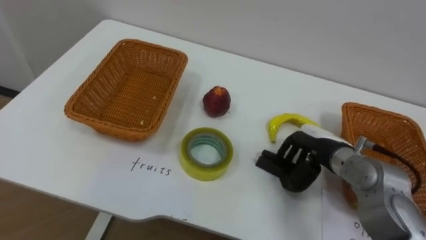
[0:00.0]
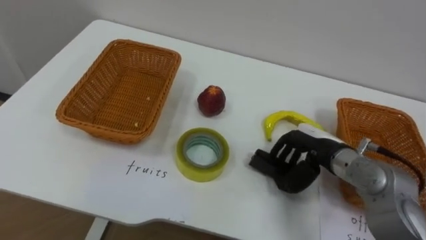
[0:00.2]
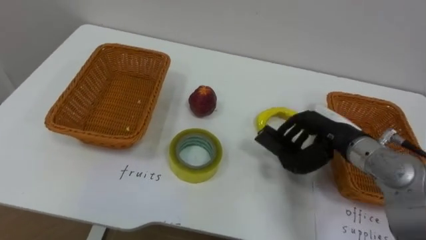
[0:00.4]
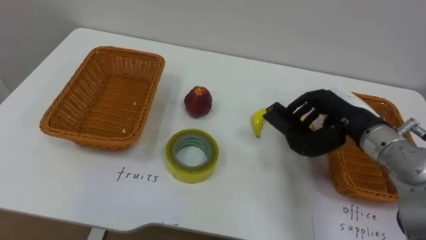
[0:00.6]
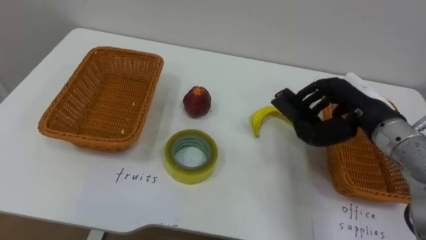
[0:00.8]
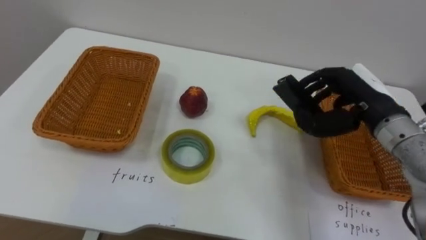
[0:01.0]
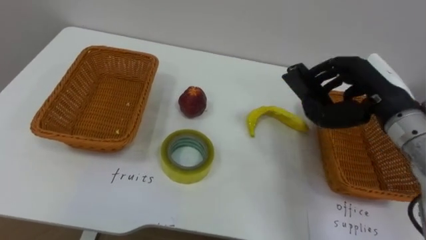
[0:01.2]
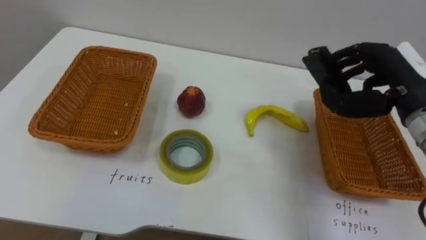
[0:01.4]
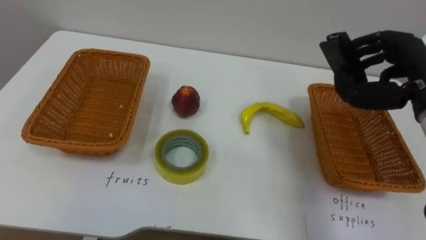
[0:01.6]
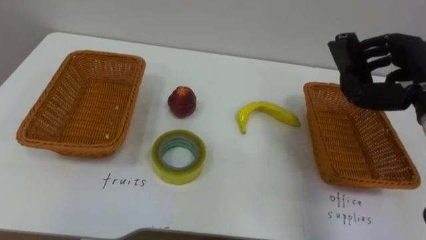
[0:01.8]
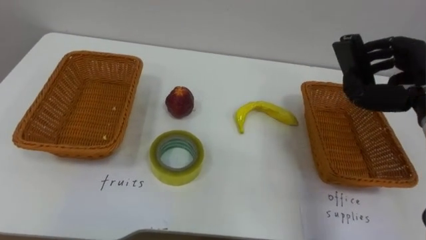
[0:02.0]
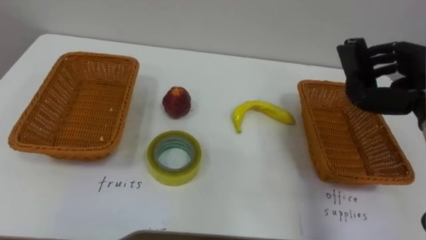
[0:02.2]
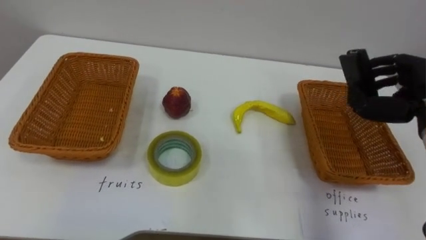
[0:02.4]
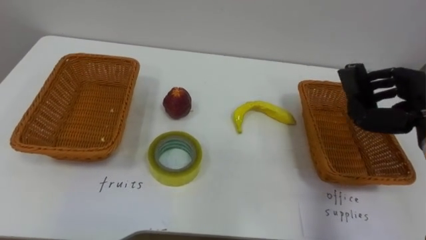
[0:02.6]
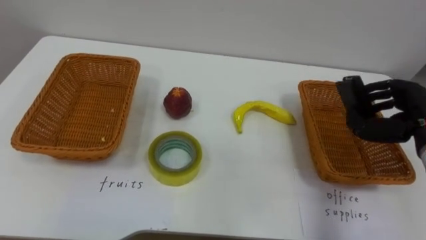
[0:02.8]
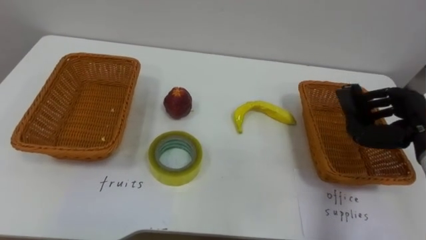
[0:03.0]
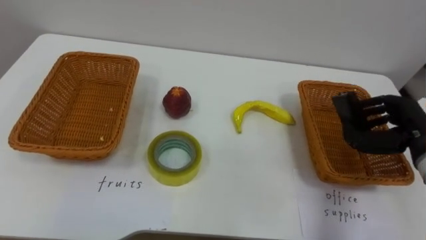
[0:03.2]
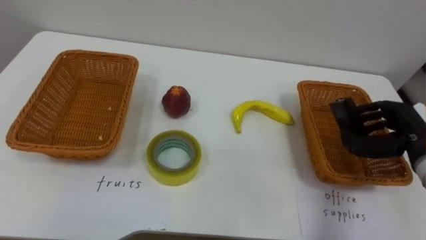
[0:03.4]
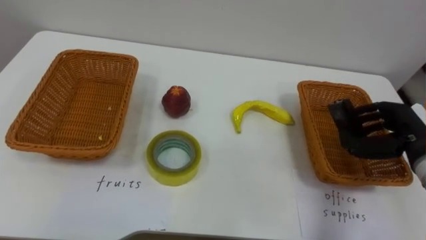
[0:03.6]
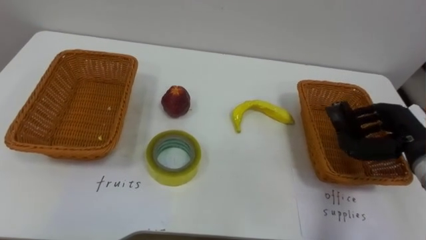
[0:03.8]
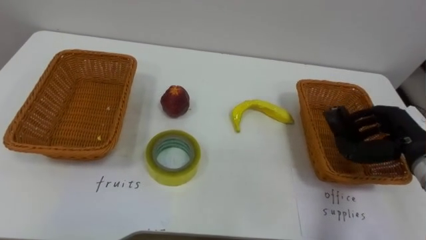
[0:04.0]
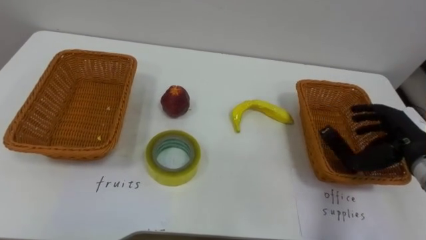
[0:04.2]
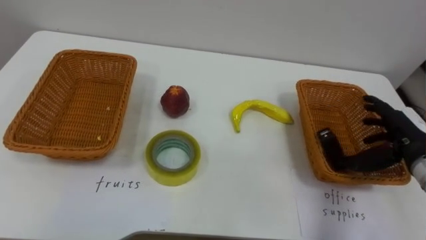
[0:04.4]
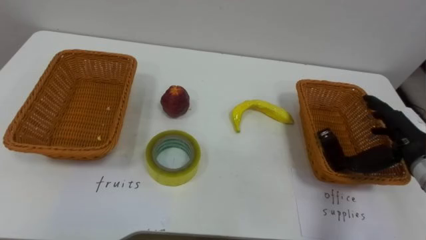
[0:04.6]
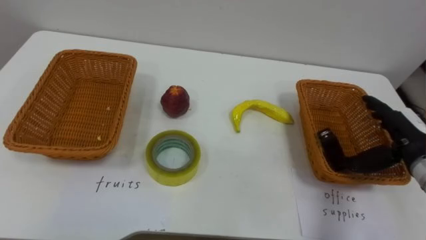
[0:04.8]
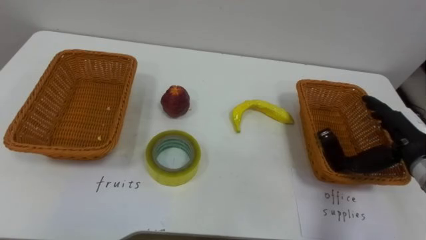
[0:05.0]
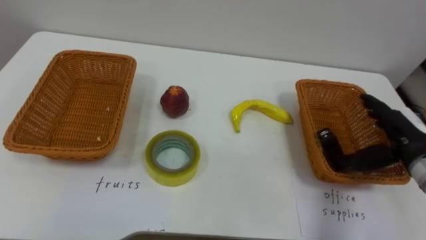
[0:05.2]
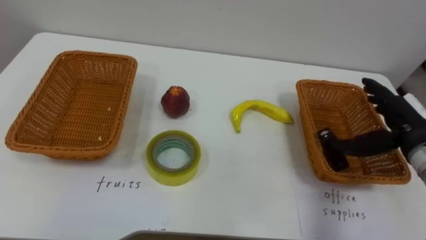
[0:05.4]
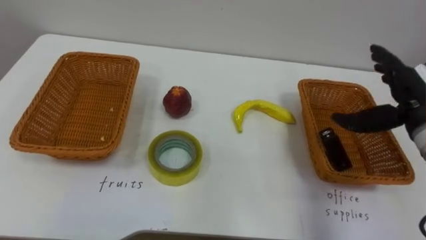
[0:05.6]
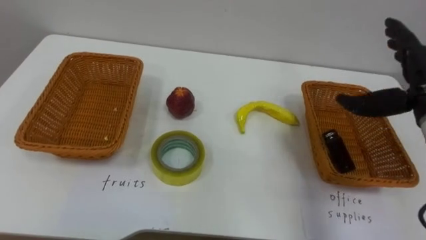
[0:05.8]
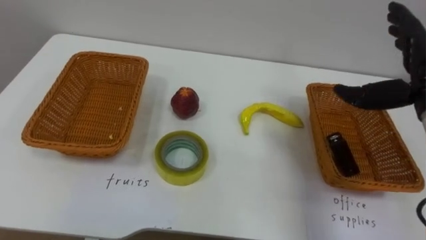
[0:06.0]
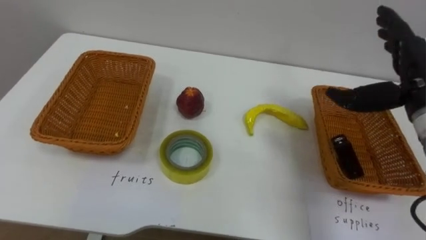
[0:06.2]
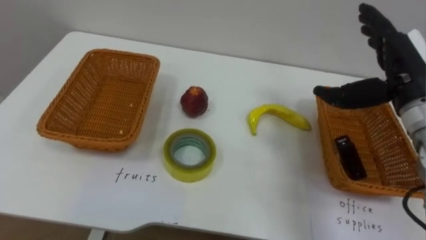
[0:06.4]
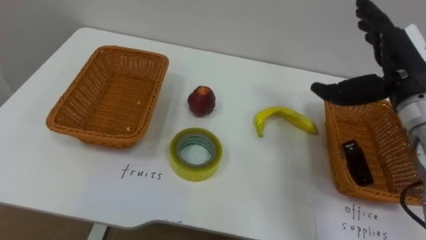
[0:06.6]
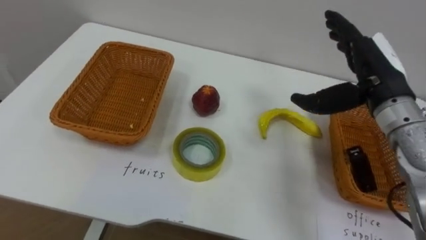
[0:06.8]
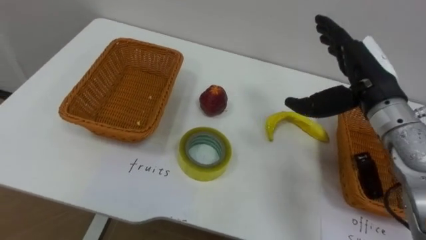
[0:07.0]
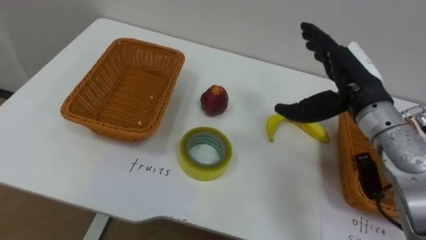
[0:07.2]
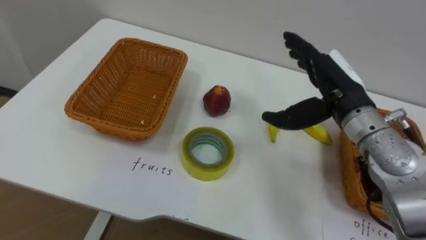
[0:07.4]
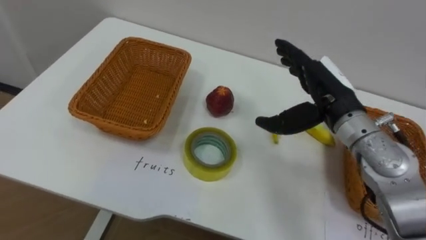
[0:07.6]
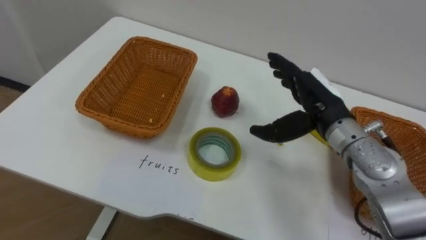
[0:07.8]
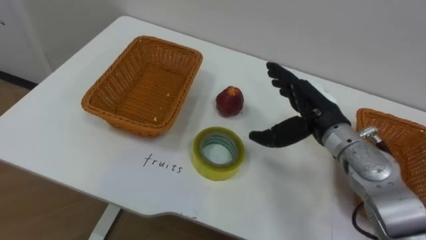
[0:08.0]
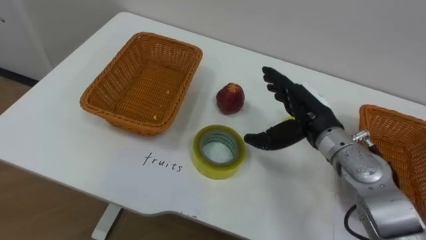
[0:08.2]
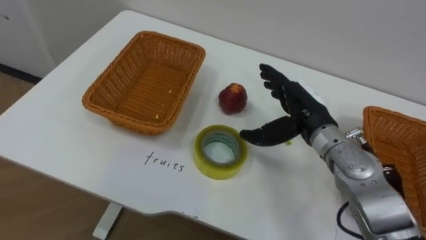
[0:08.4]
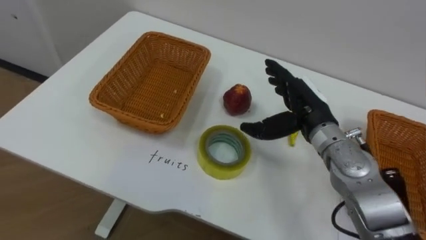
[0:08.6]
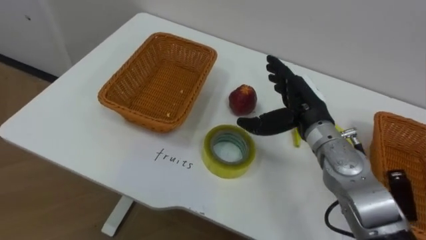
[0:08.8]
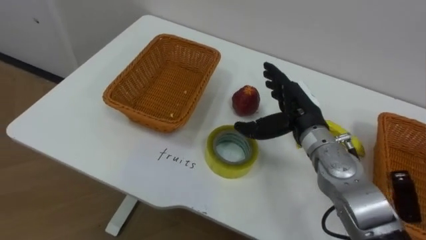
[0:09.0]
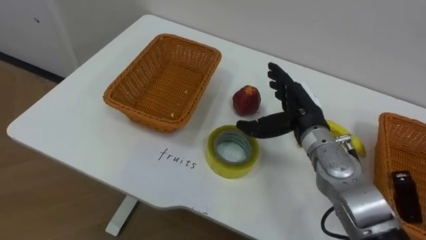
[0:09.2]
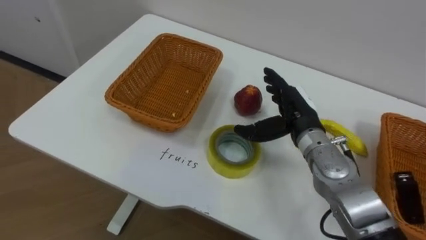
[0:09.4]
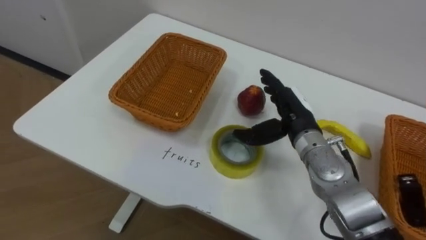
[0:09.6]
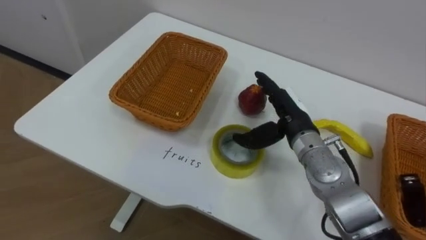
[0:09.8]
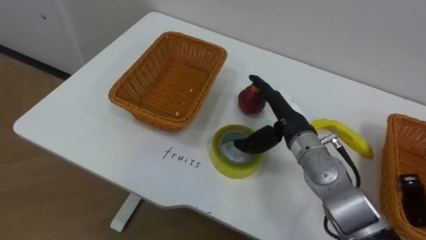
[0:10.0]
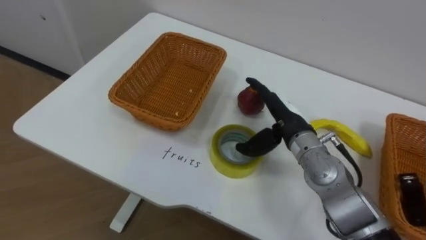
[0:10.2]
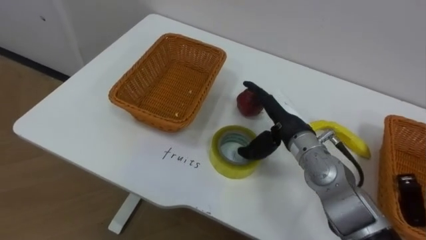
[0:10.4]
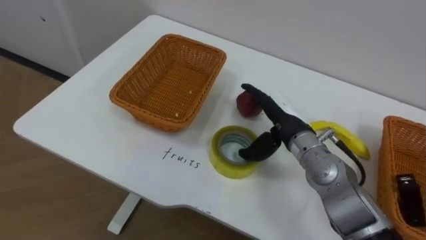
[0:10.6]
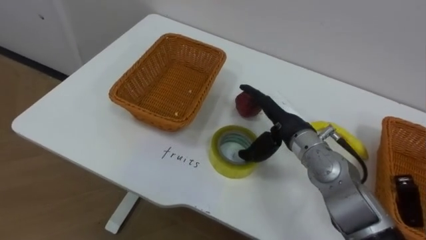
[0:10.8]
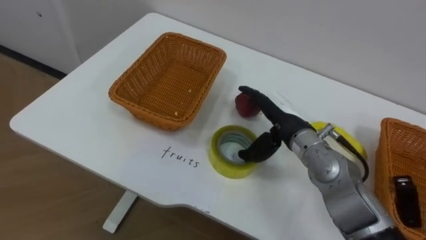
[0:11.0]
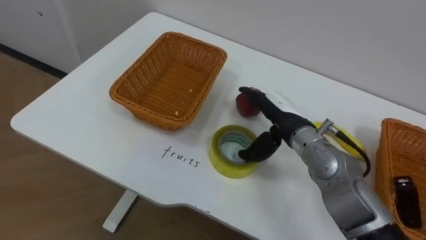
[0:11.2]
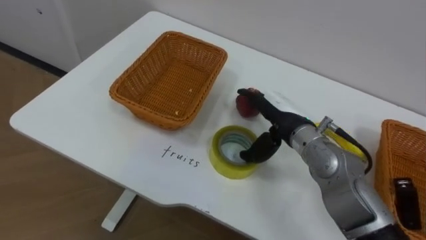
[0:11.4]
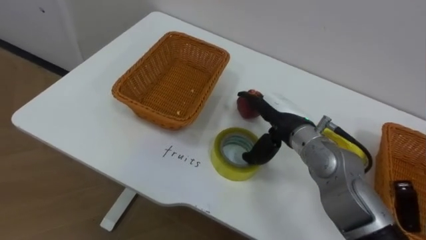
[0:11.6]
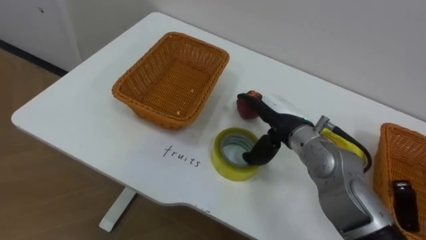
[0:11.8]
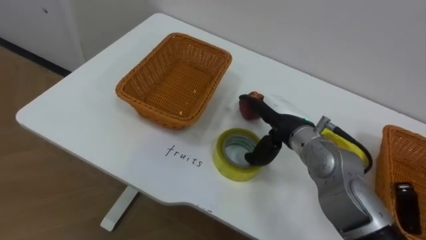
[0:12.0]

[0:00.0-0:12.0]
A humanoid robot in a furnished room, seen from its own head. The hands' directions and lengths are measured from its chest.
Task of the whole recording: Separate the items on the table and place them into the two baskets.
0:00.0 to 0:01.6: The right hand goes roughly 20 cm upward and to the right.
0:01.6 to 0:03.0: The right hand goes roughly 10 cm downward.
0:03.0 to 0:04.4: The right hand opens.
0:04.4 to 0:06.0: The right hand heads upward, covering roughly 10 cm.
0:06.0 to 0:07.6: The right hand shifts about 10 cm to the left.
0:07.6 to 0:09.0: The right hand moves downward, approximately 5 cm.

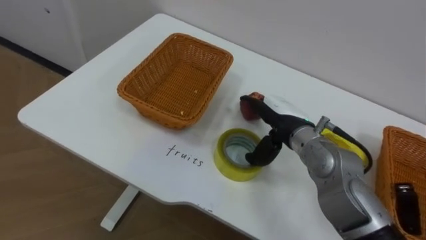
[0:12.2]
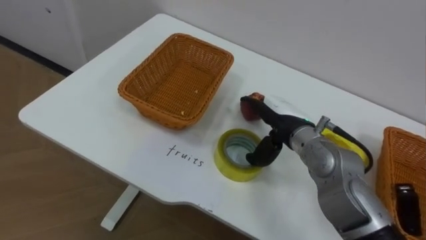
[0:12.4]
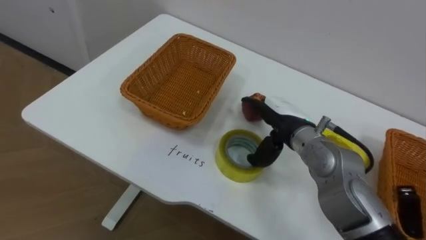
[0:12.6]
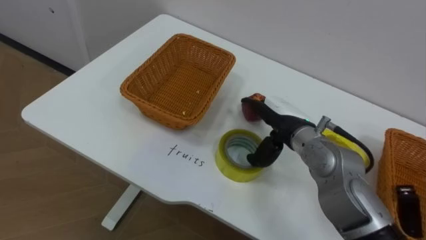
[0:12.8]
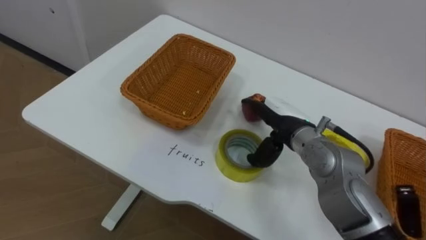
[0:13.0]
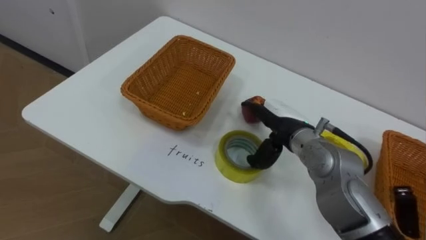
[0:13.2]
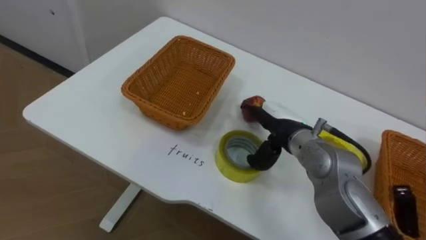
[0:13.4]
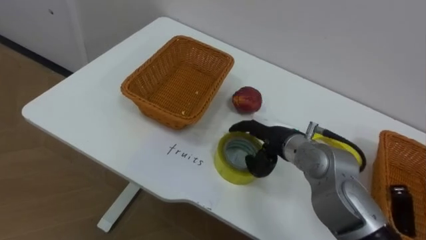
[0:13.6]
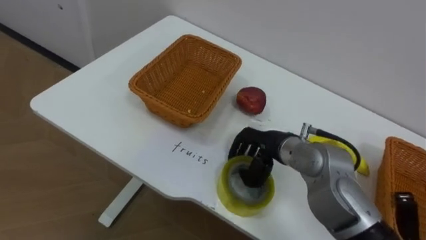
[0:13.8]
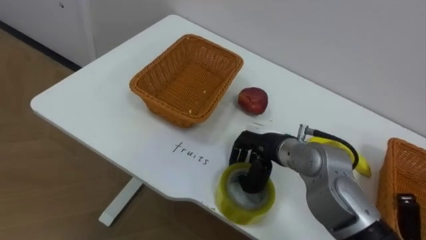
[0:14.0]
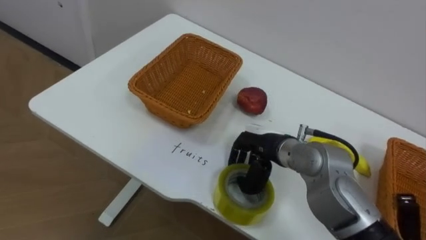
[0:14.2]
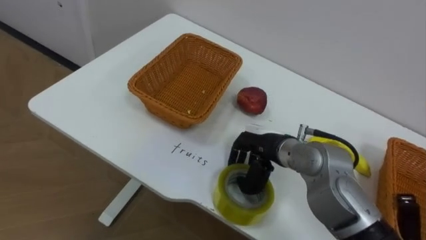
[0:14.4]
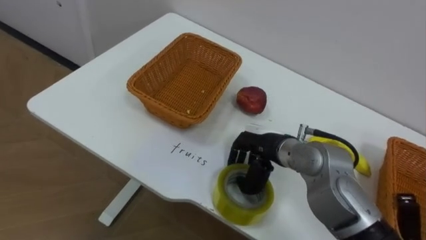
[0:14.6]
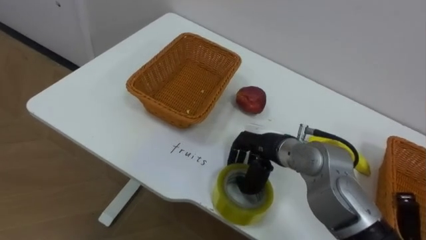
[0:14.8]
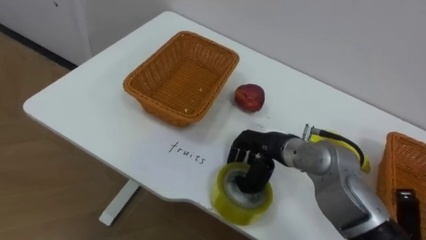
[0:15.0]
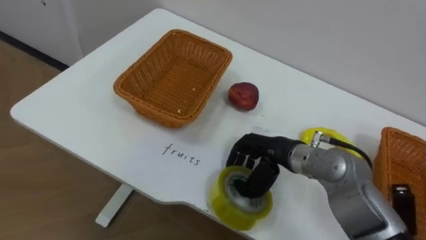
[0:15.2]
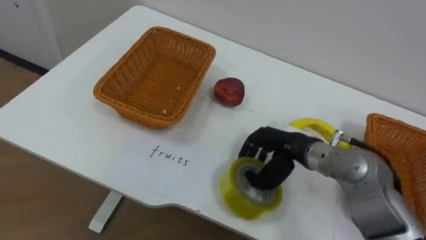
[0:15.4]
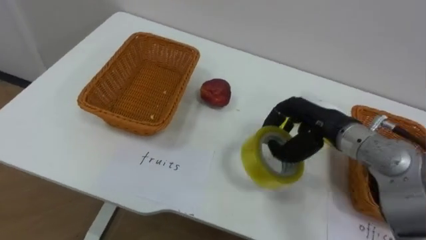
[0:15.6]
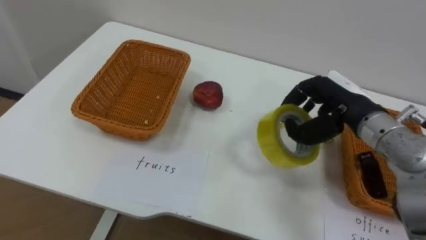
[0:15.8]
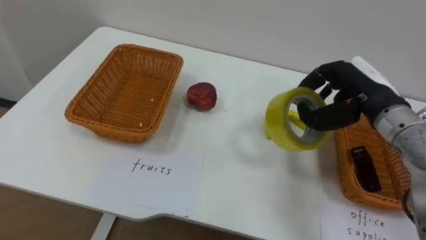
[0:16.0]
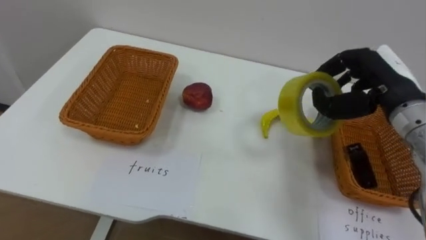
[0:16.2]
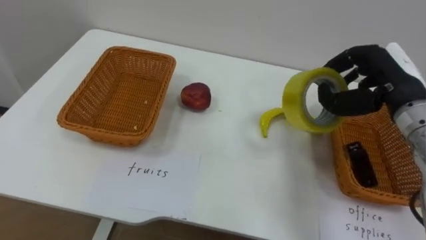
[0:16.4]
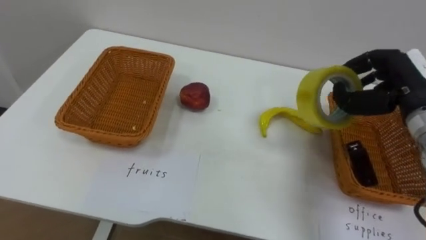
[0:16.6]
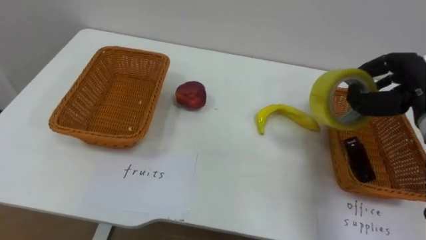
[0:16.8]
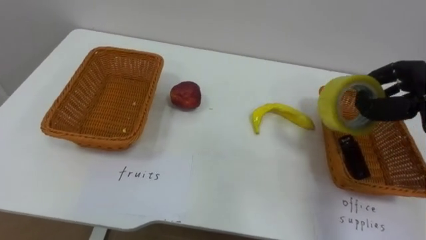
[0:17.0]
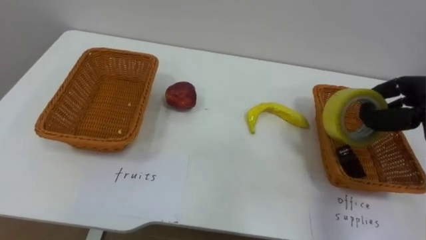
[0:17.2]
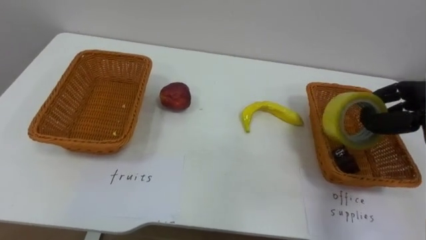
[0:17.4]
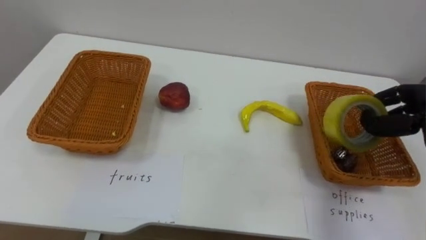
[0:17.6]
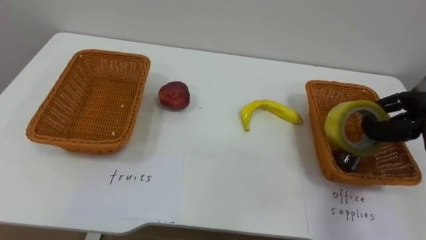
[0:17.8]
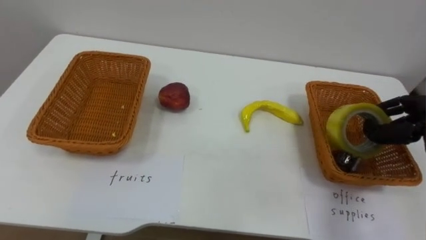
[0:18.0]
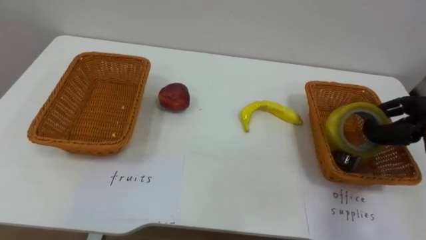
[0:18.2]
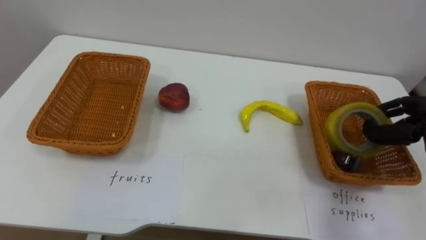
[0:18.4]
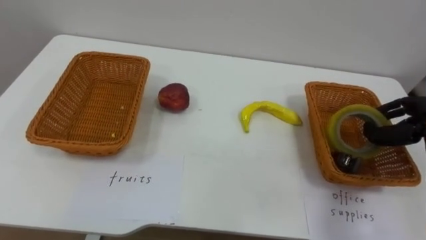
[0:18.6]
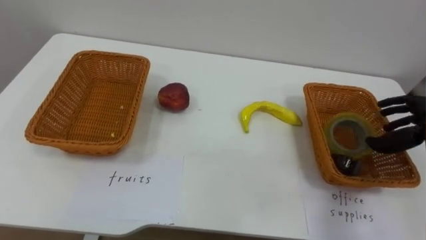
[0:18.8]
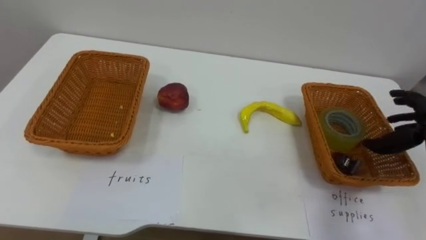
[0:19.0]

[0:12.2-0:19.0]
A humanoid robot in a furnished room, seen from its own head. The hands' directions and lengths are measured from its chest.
Task of the whole recording: Separate the items on the table and place them into the two baskets.
0:13.6 to 0:15.0: The right hand closes up.
0:15.0 to 0:16.2: The right hand goes about 20 cm to the right and upward.
